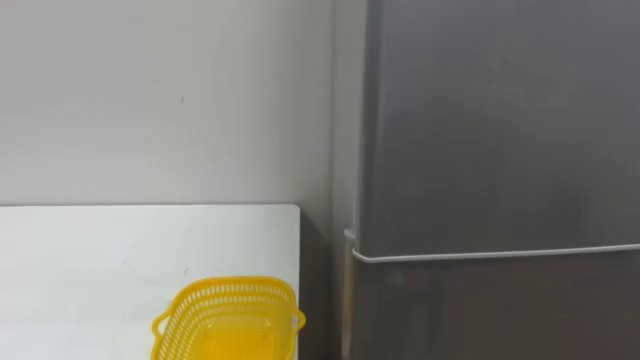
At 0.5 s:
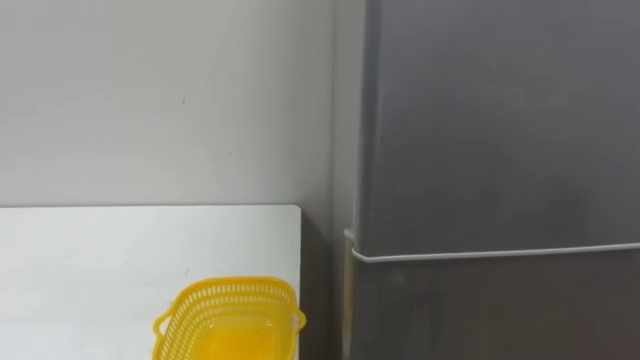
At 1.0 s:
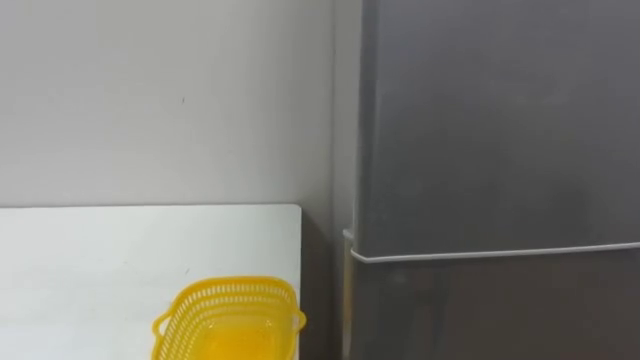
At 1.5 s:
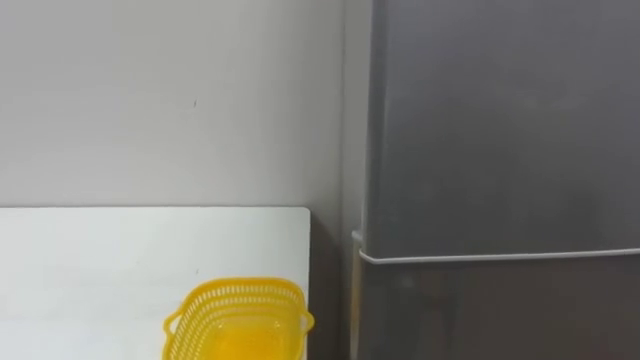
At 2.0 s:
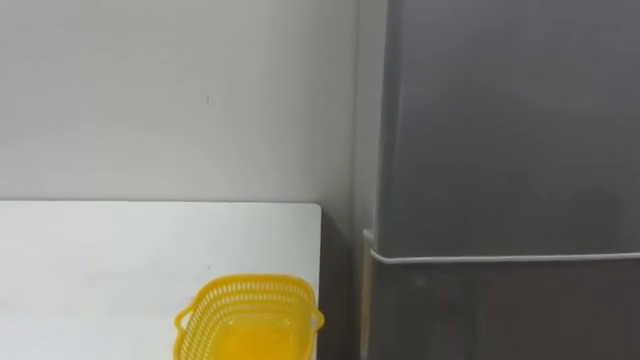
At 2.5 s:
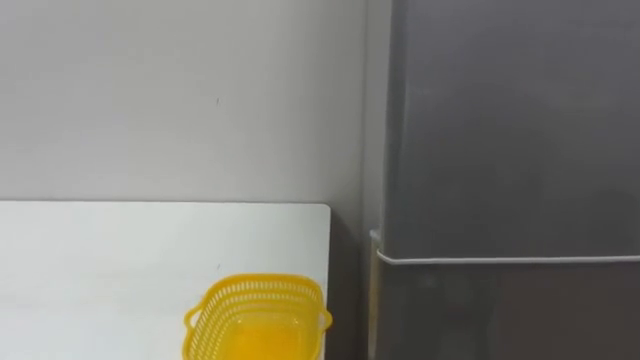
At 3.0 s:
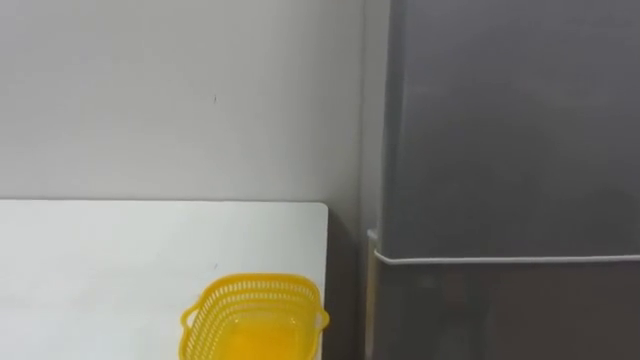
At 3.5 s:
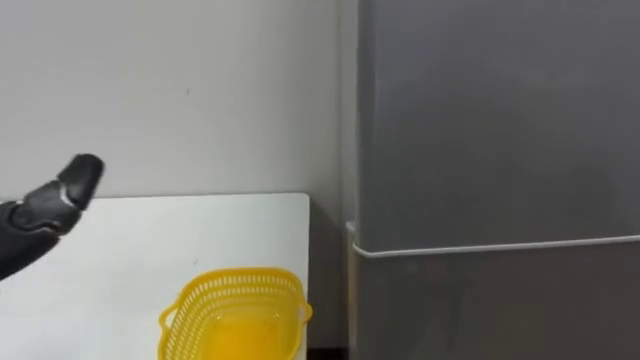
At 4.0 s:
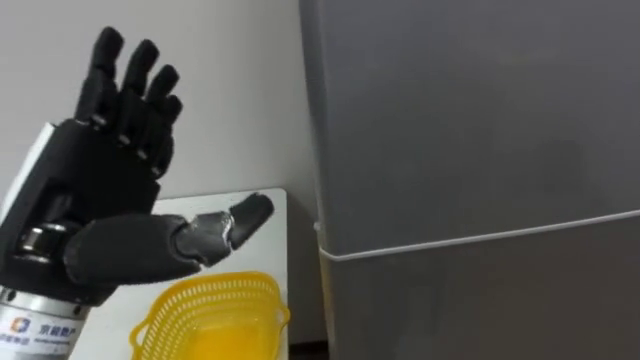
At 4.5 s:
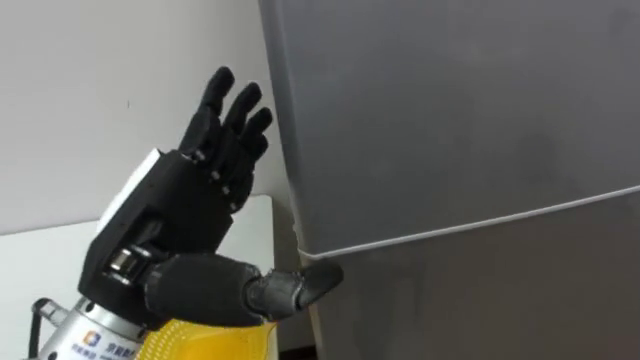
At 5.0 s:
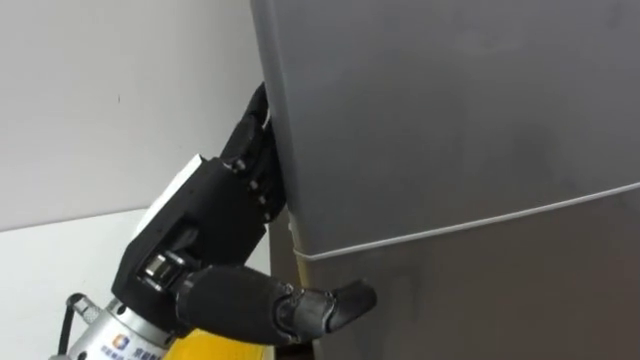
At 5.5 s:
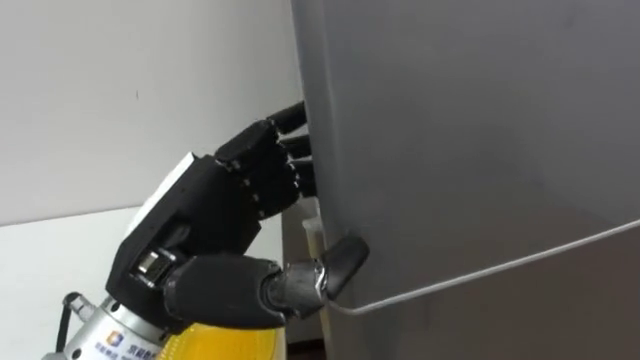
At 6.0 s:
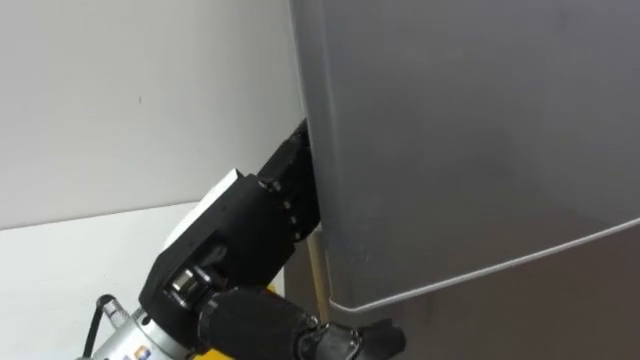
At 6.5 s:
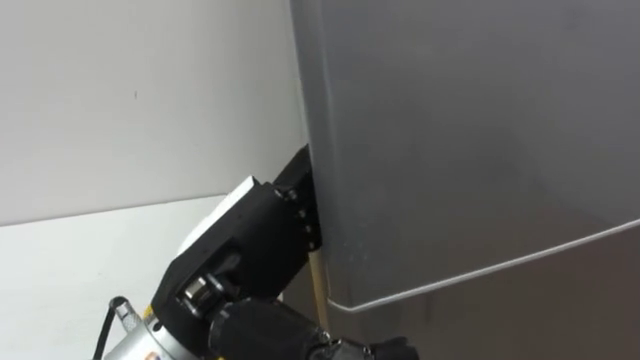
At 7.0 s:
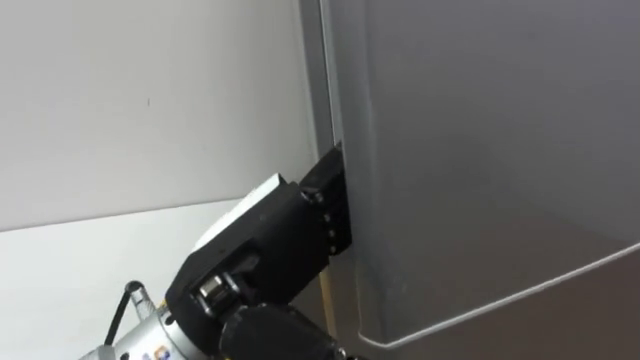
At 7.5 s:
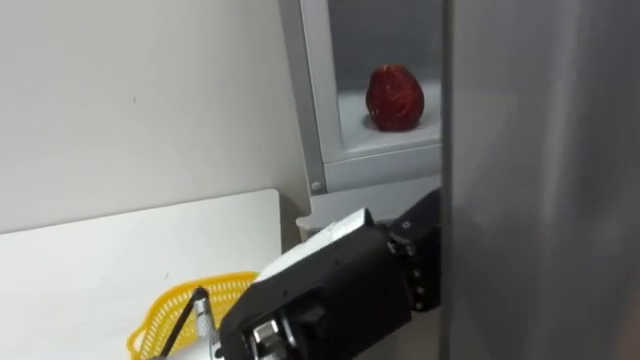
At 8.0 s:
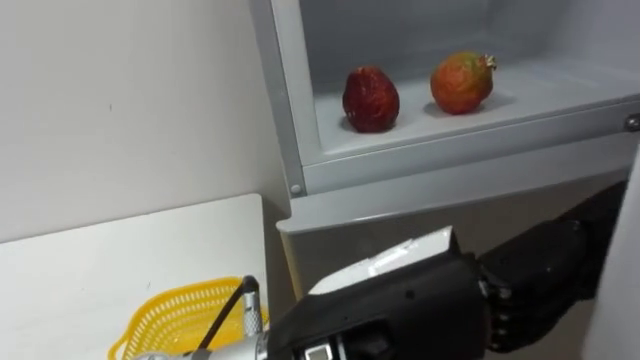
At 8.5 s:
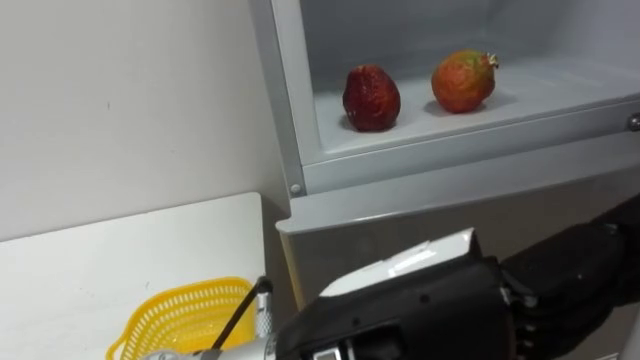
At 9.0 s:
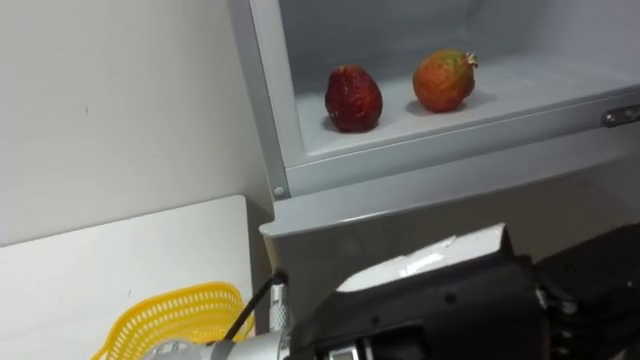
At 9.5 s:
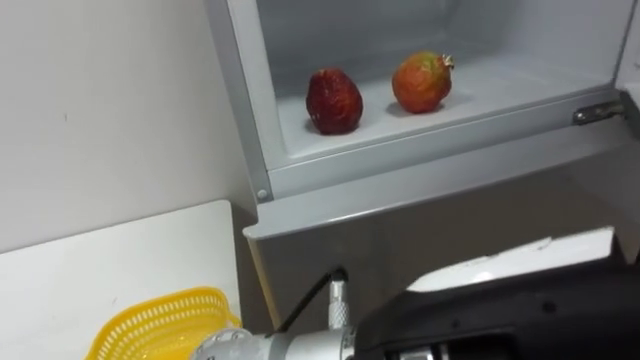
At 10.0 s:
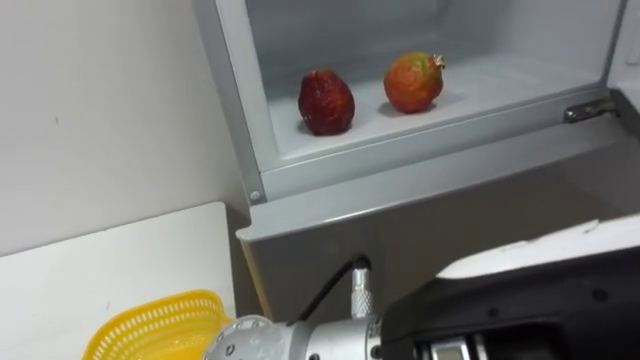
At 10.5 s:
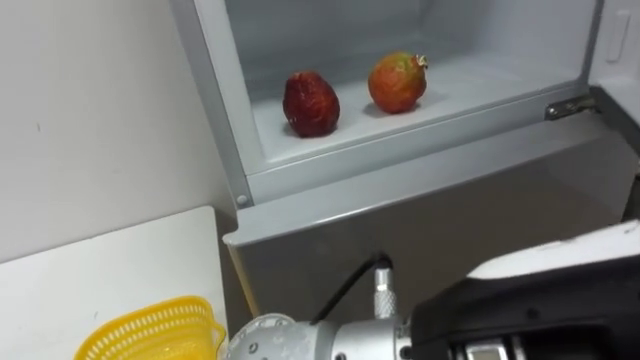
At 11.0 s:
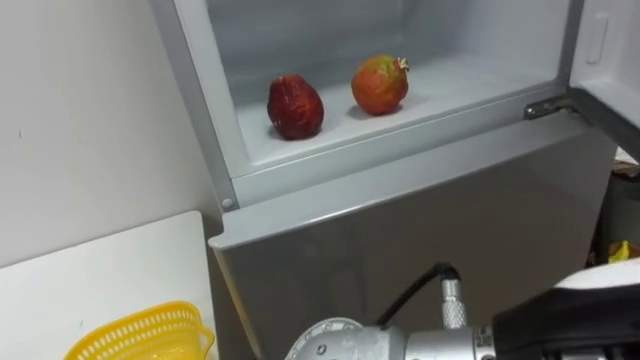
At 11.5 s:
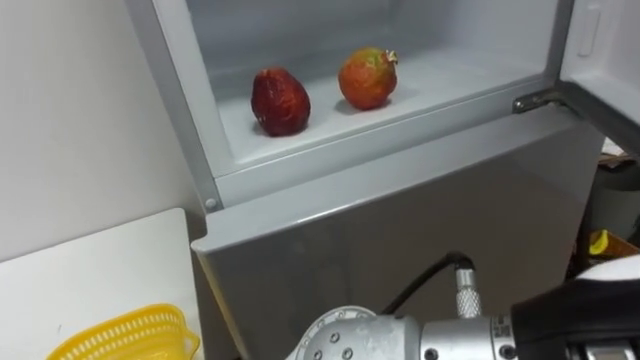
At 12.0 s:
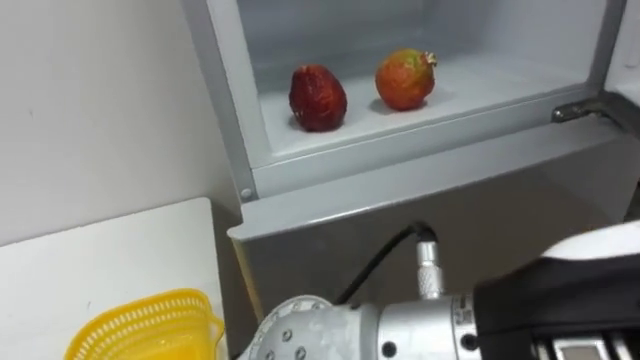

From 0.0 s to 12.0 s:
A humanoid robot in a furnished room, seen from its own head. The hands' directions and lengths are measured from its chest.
Task of the whole recording: Open the refrigerator door, take out the apple and the pomegranate, place them in the fruit basket on the left, and close the refrigerator door.
From 4.0 s to 6.0 s: The left hand shifts some 10 cm to the right, and closes and opens again.
From 6.0 s to 8.0 s: The left hand shifts roughly 10 cm to the right and backward.
From 8.0 s to 10.0 s: The left hand changes place by about 5 cm.

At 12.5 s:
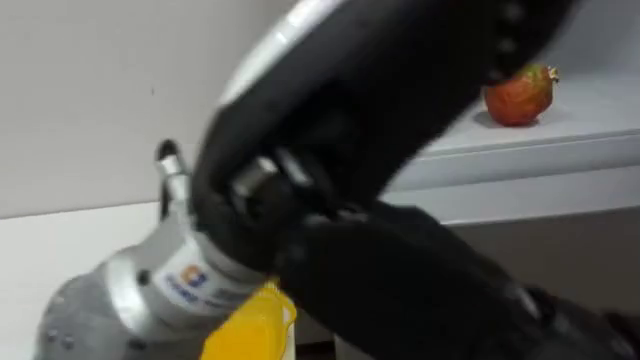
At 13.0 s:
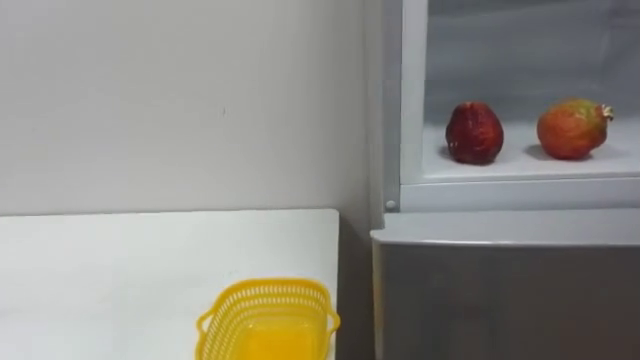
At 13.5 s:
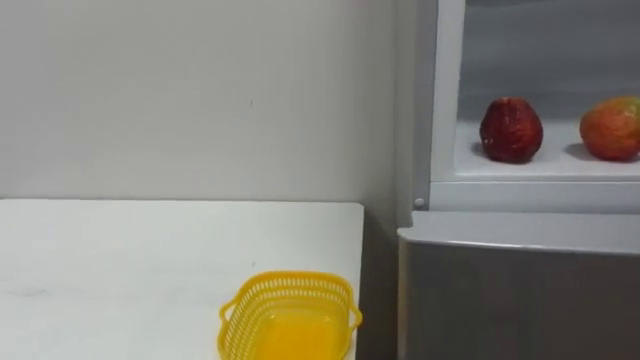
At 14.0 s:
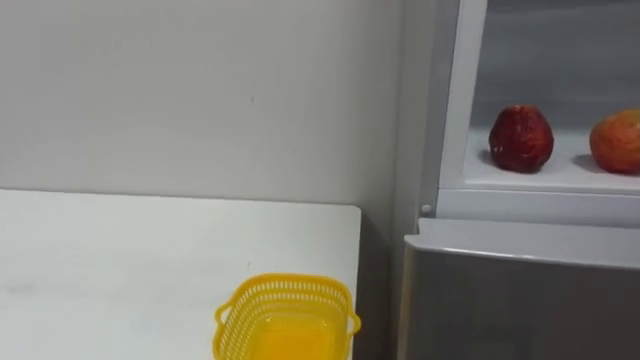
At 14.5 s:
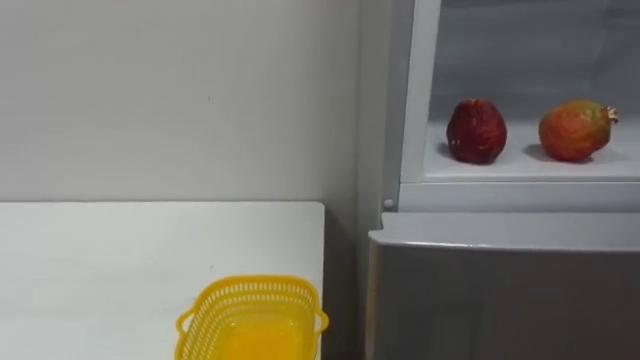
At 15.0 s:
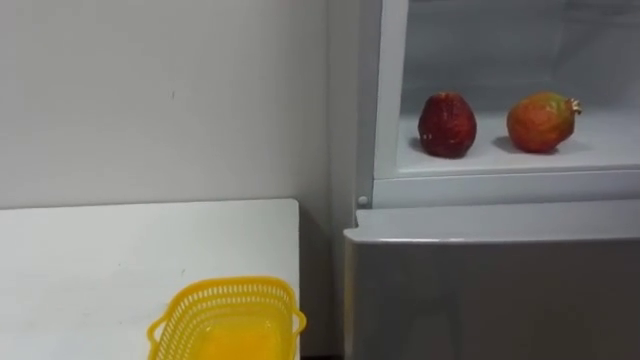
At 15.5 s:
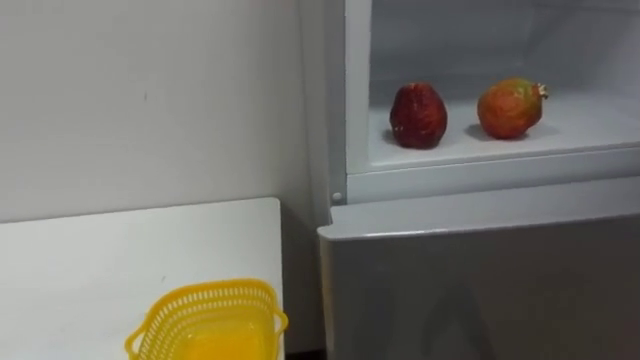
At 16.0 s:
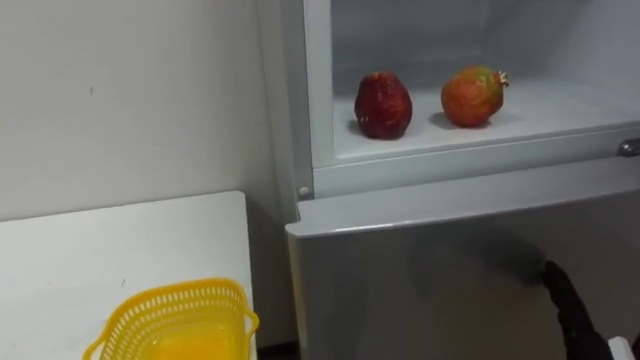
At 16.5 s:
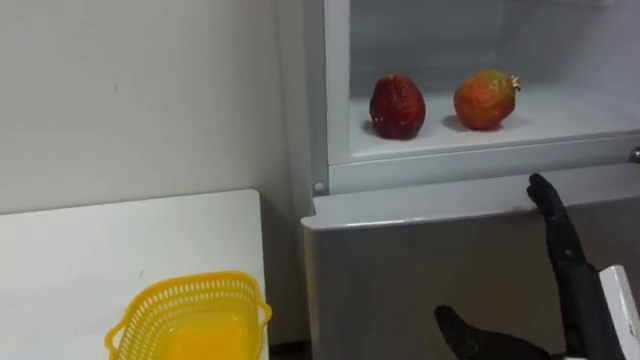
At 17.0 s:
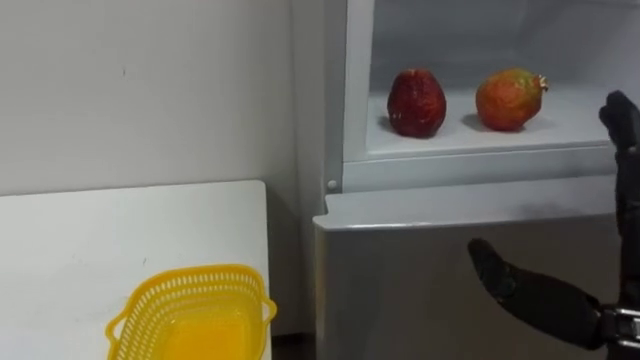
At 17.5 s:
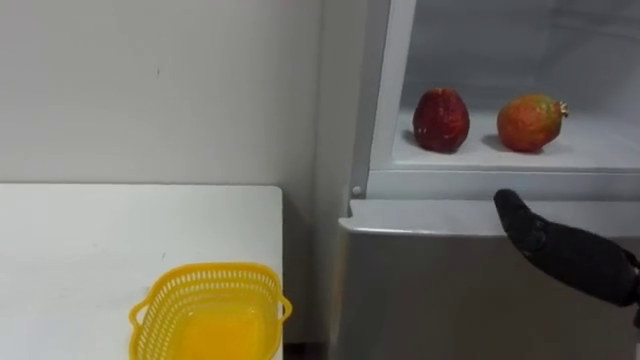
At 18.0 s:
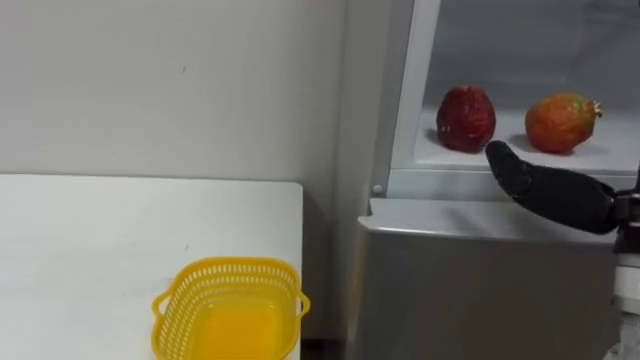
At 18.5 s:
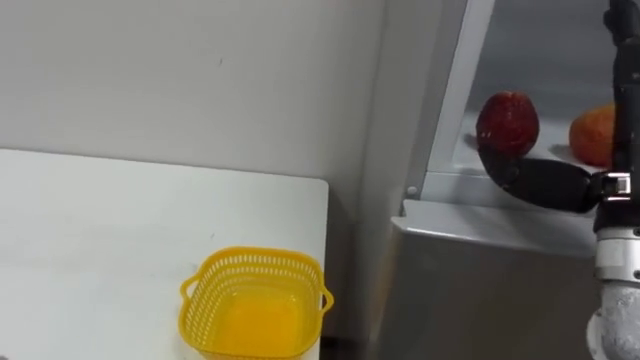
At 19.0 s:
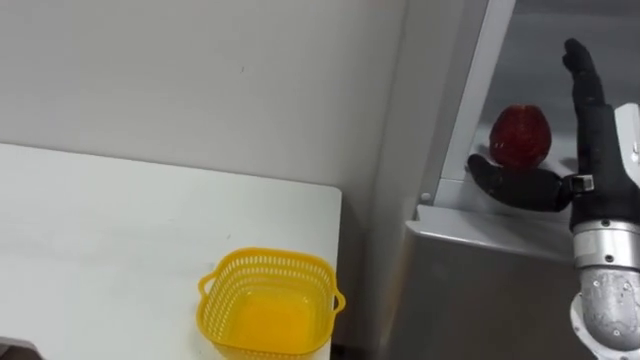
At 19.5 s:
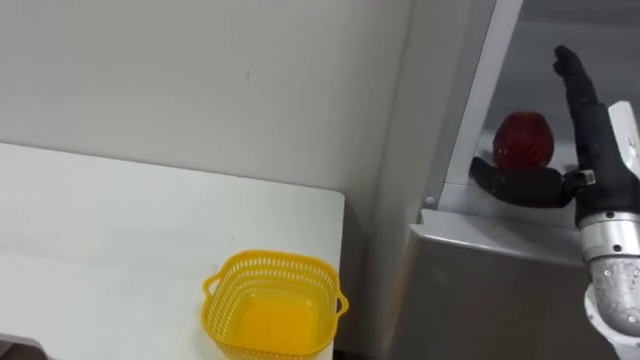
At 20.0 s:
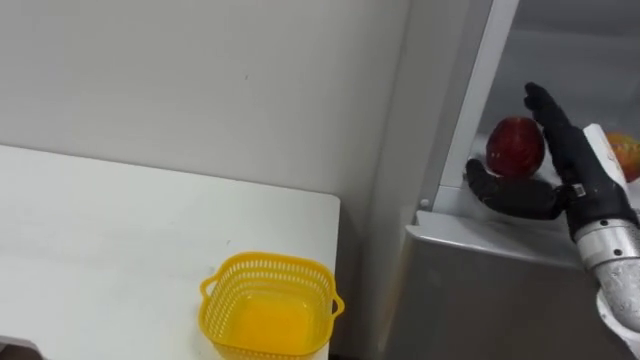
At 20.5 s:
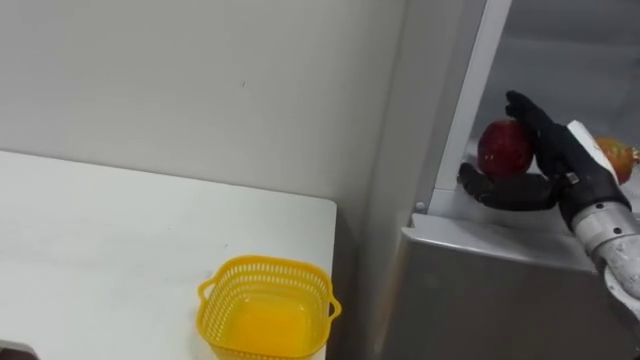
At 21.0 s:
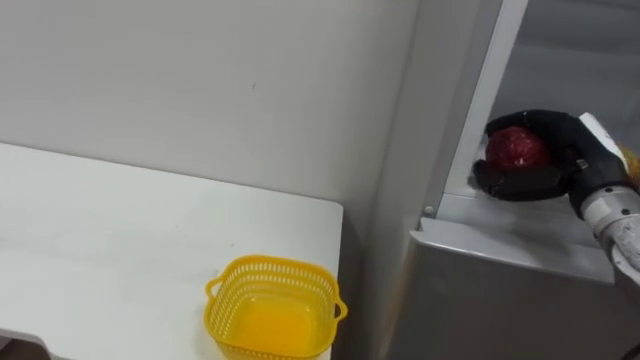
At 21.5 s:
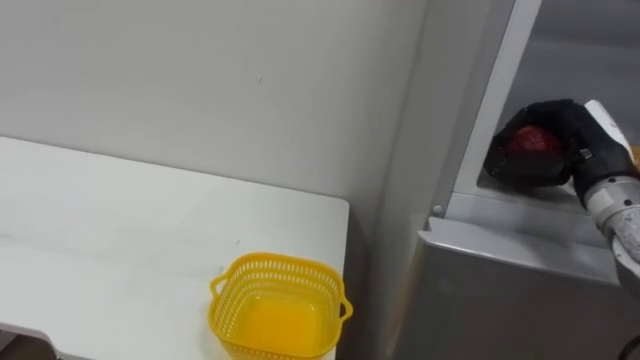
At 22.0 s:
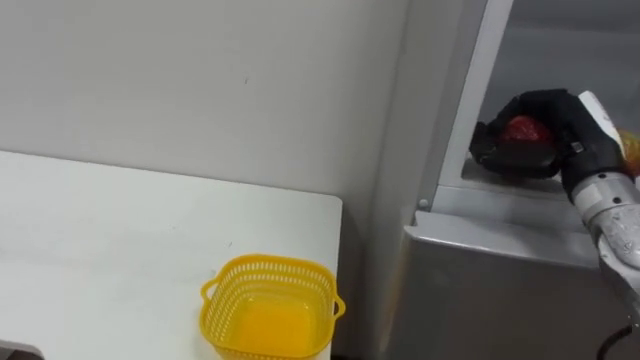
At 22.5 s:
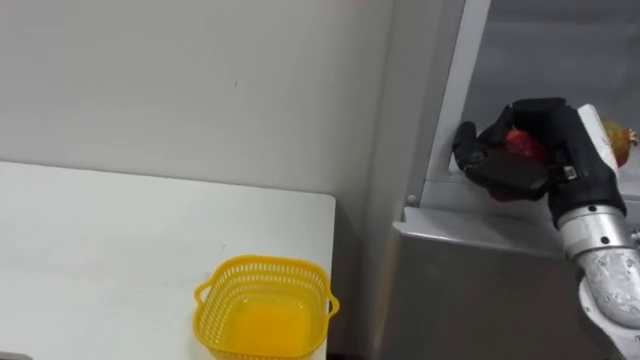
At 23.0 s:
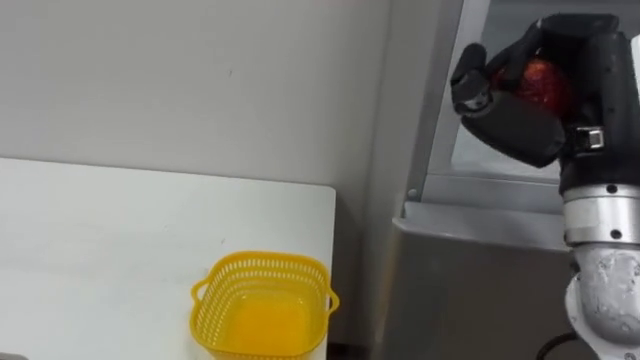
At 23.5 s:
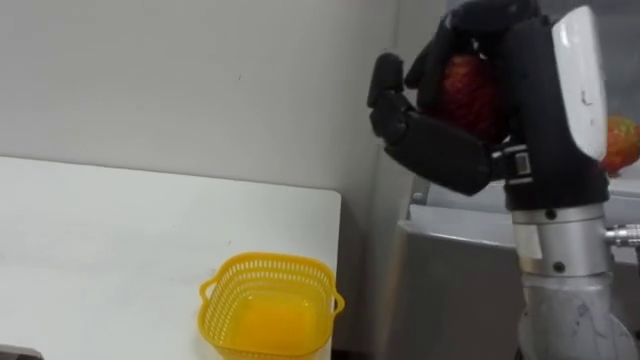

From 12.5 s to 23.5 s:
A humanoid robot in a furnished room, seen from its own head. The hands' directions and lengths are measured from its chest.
Task of the whole recording: Open the refrigerator door, take out the apple and the pomegranate, place them in the fruit basket on the left, and close the refrigerator door.
From 20.0 s to 21.5 s: The right hand closes.
From 21.5 s to 23.5 s: The right hand is displaced backward, to the left and upward by approximately 20 cm.
